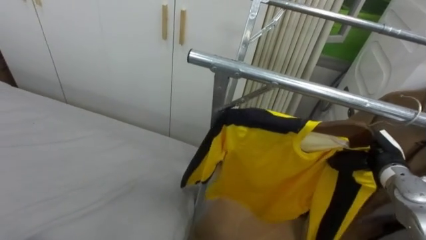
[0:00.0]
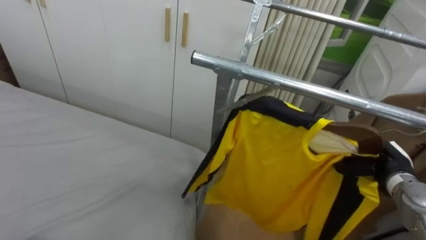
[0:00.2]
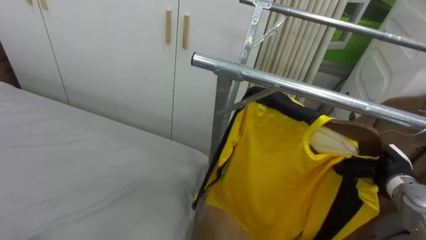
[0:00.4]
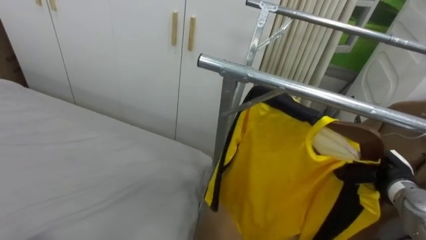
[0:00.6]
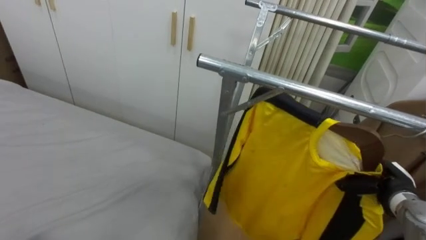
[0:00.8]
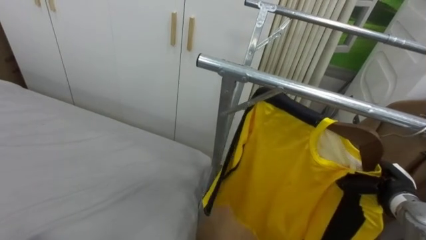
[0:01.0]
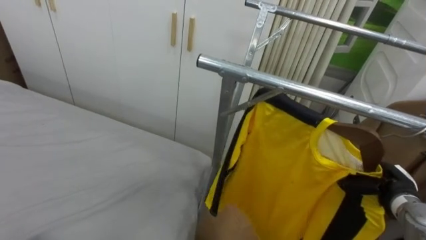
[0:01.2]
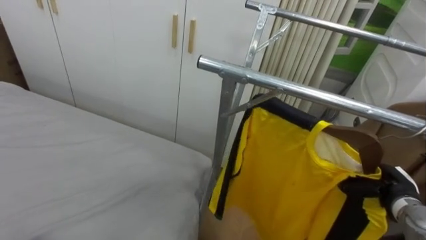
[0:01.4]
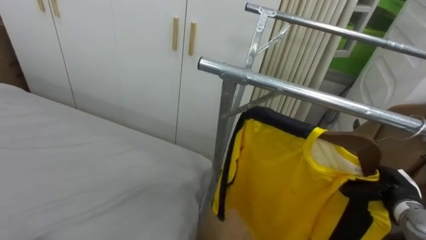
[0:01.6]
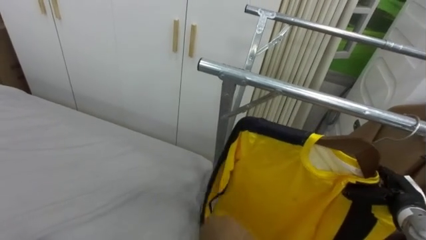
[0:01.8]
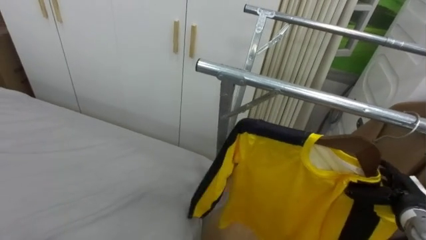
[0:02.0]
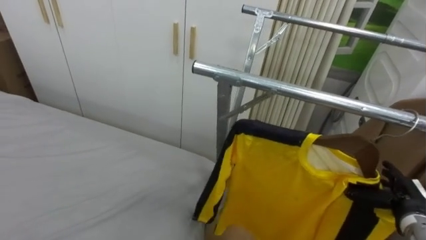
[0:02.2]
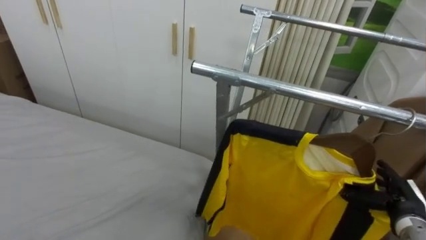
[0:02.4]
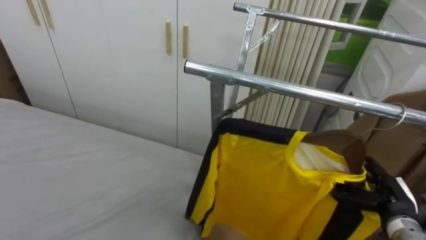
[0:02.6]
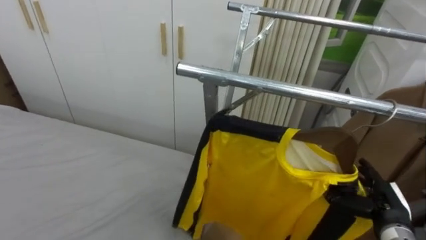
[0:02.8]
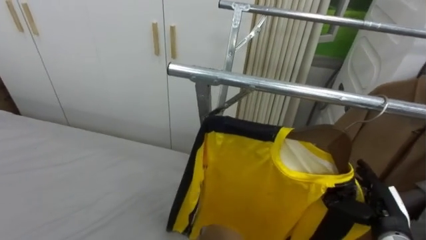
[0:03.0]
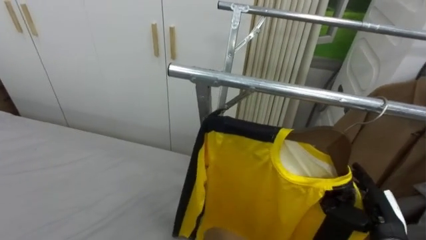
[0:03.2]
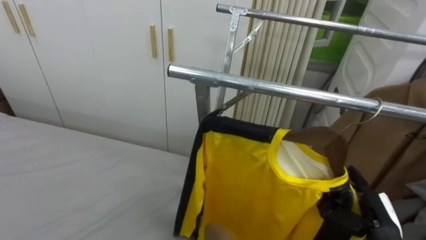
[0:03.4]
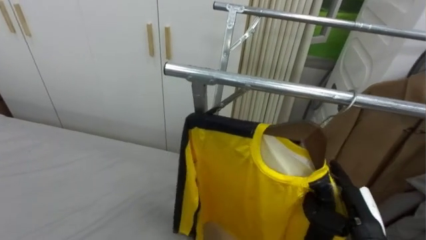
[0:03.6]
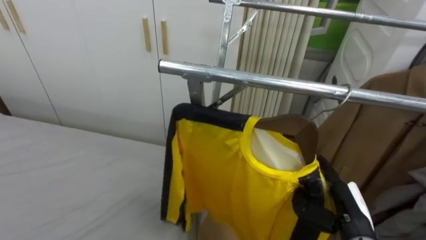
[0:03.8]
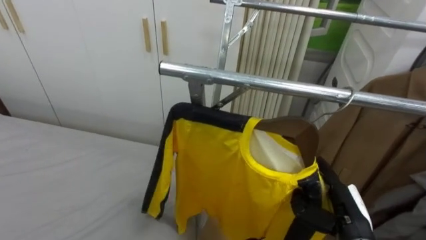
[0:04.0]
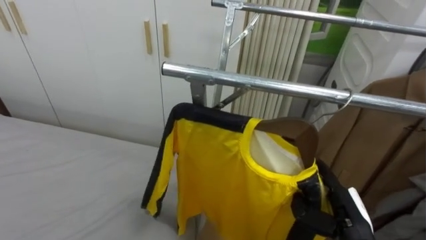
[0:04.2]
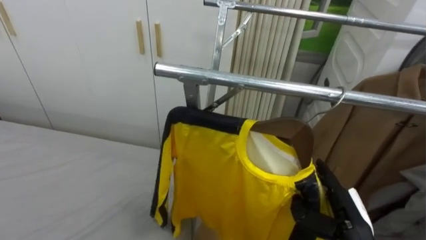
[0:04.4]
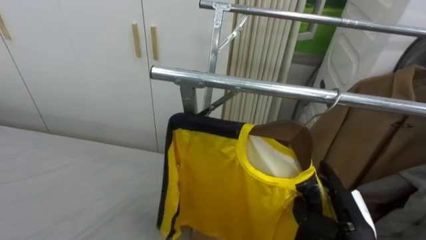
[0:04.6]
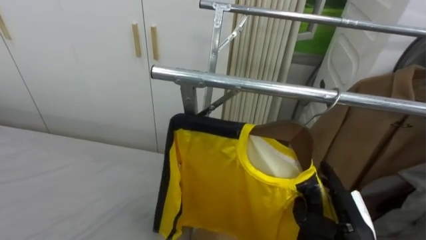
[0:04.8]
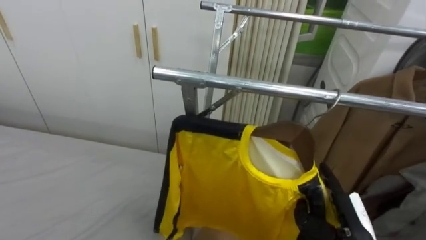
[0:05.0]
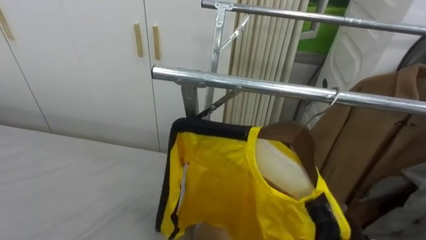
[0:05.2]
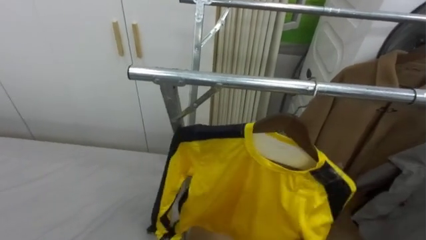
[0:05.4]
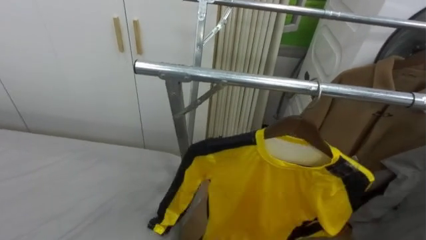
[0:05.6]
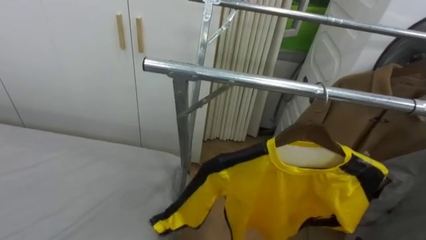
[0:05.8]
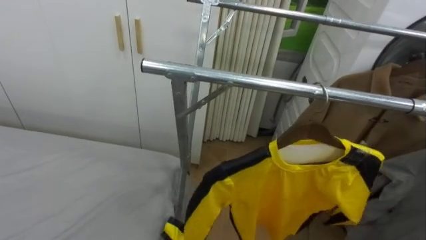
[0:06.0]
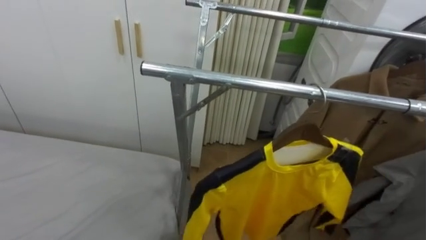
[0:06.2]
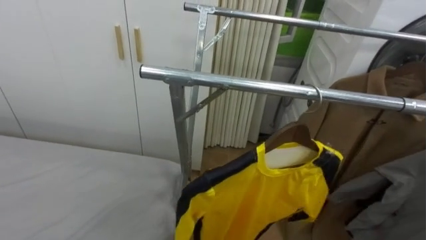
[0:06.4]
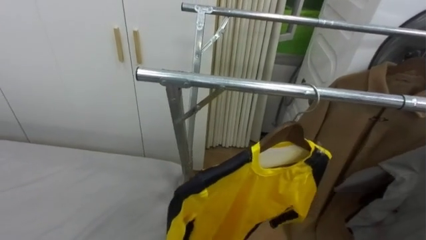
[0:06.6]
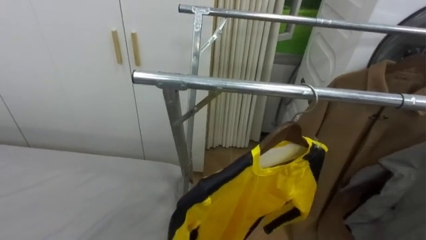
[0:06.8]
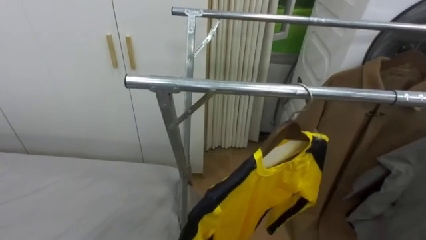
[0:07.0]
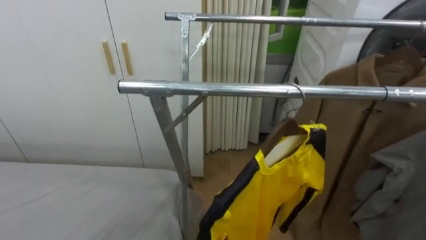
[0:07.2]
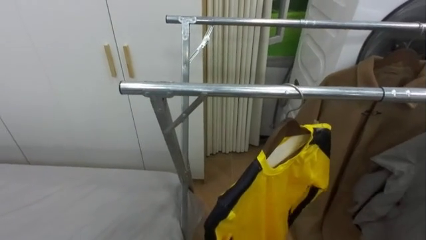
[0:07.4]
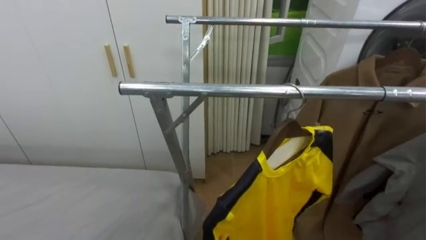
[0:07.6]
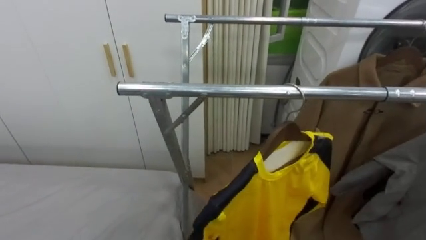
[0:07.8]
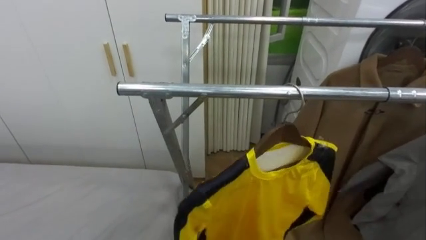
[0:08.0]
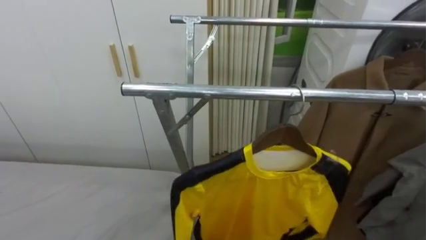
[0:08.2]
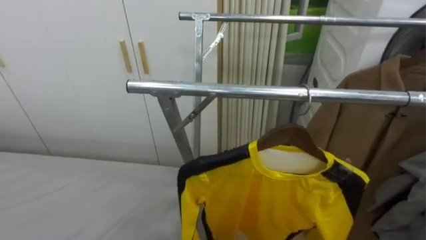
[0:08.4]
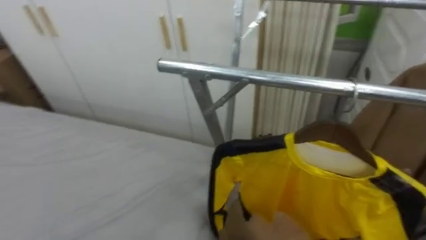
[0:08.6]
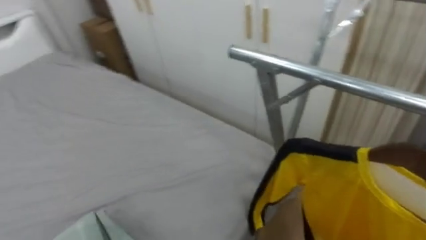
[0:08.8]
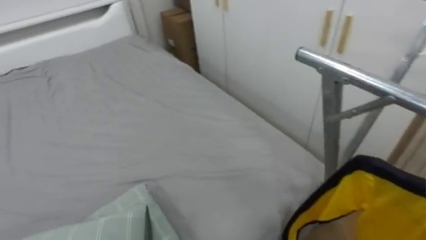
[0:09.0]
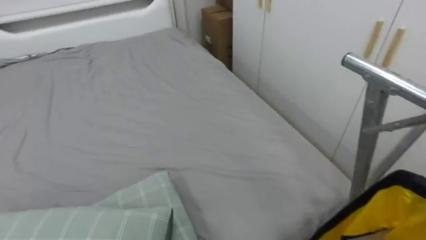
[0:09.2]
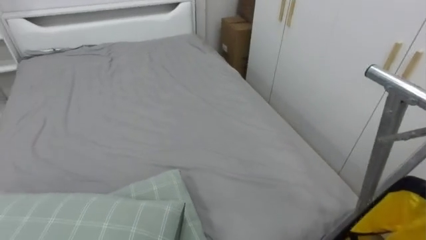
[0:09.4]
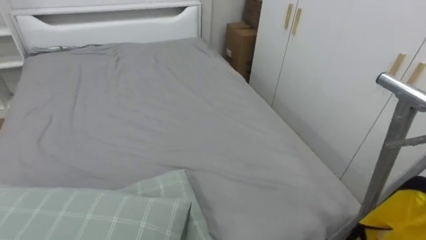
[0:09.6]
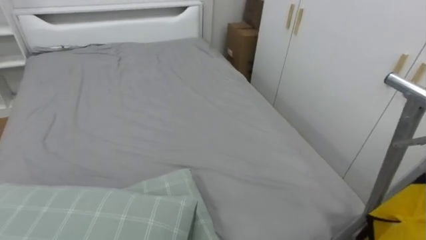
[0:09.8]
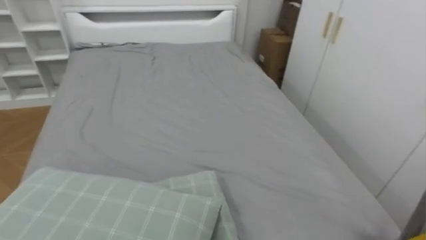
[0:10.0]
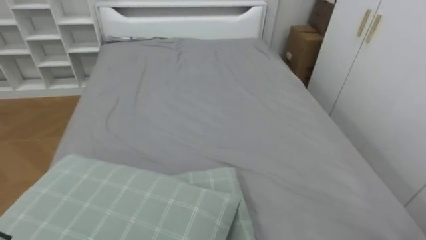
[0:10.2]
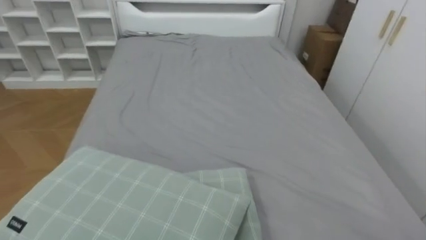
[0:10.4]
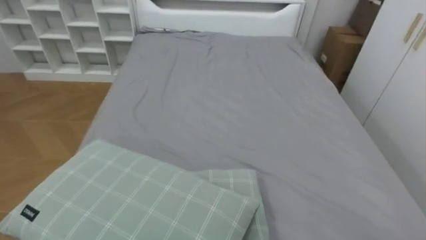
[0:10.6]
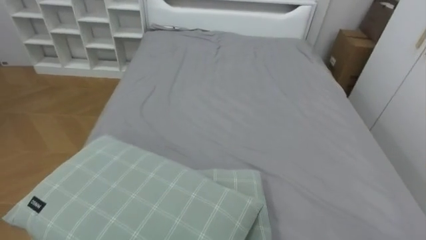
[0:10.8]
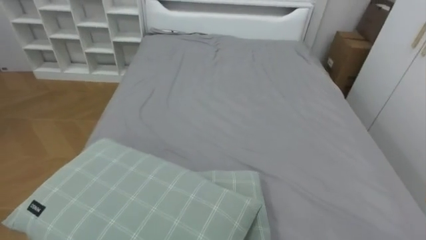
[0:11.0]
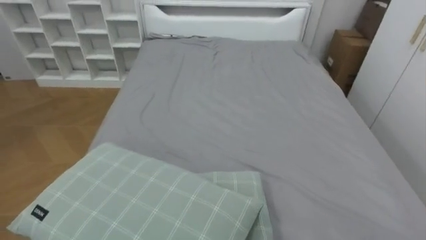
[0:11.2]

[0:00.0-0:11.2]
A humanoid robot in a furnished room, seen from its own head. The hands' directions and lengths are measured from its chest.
Task of the whole recording: Pick up the yellow shirt on the bed and hang it on the clothes rack on the right.
0:00.0 to 0:01.6: The right hand travels downward by approximately 5 cm, and opens.
0:01.6 to 0:03.2: The right hand goes roughly 5 cm backward.
0:03.2 to 0:04.8: The right hand moves to the left, approximately 5 cm.
0:08.0 to 0:09.6: The robot's body swings some 60 degrees to its left.
0:09.6 to 0:11.2: The robot turns to its left by approximately 25 degrees.

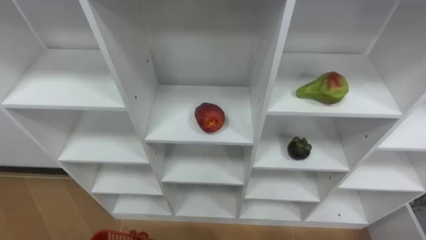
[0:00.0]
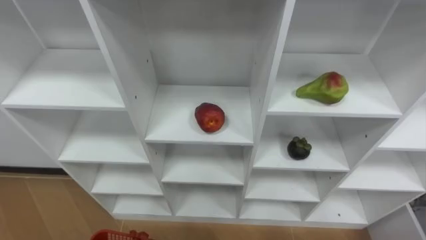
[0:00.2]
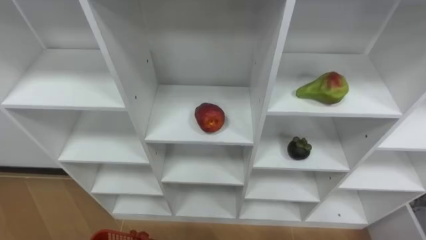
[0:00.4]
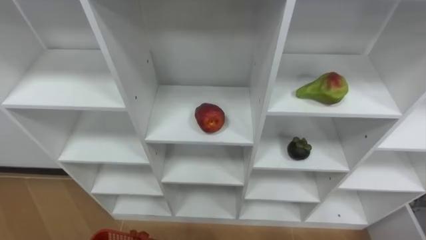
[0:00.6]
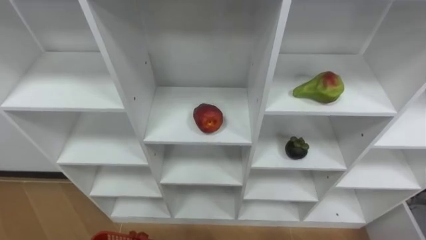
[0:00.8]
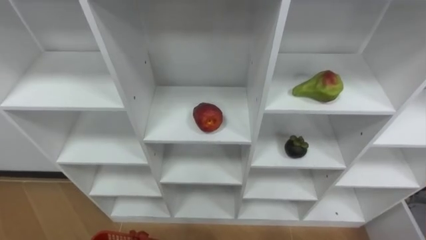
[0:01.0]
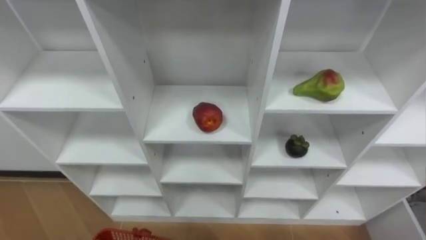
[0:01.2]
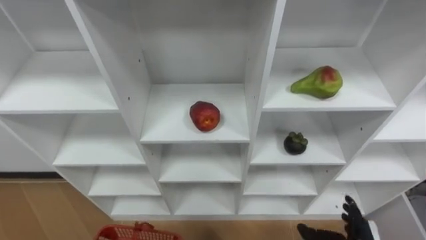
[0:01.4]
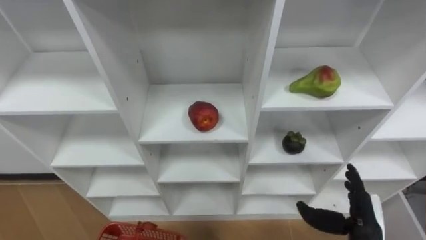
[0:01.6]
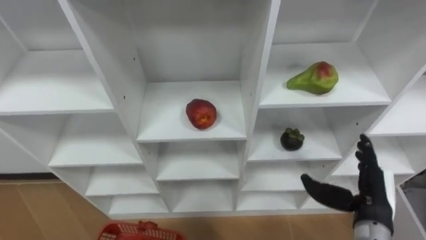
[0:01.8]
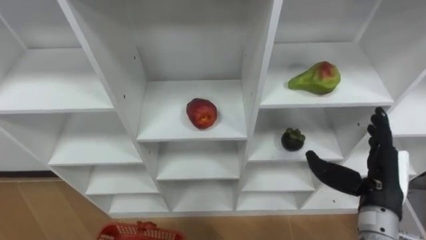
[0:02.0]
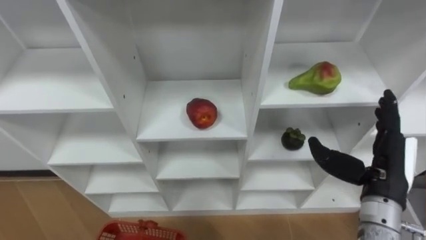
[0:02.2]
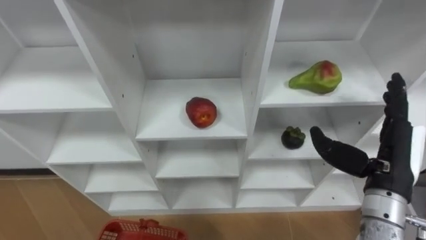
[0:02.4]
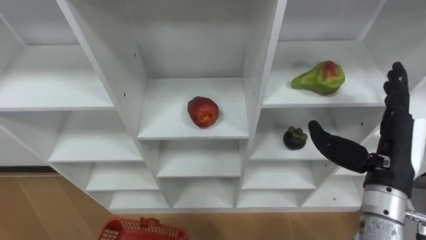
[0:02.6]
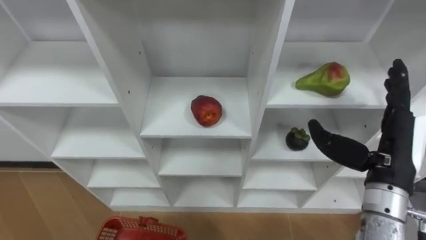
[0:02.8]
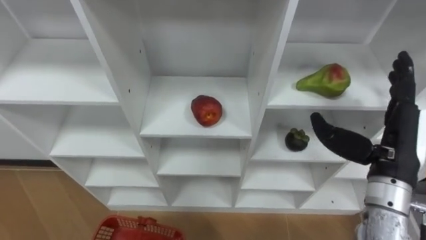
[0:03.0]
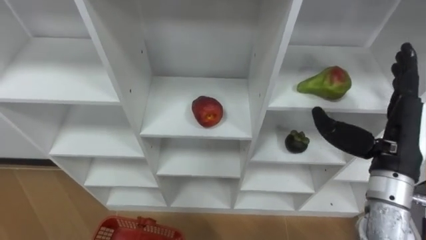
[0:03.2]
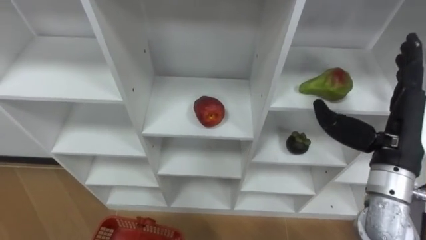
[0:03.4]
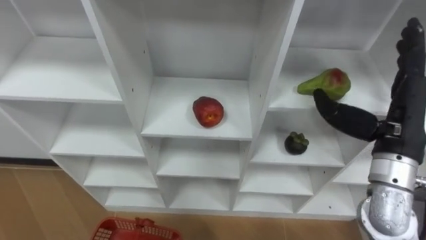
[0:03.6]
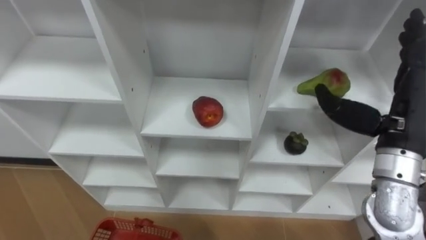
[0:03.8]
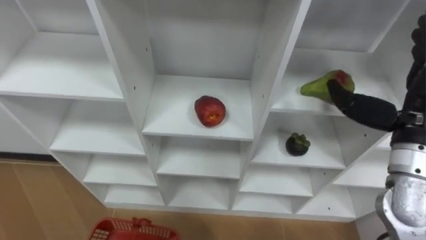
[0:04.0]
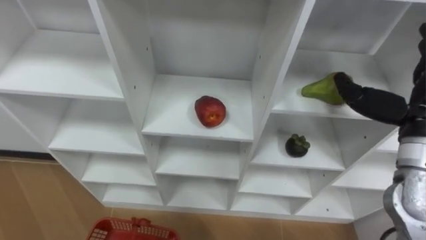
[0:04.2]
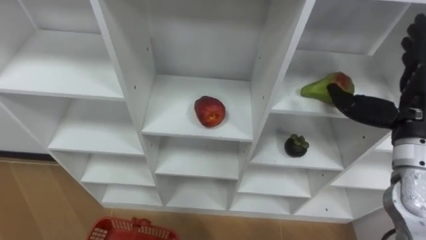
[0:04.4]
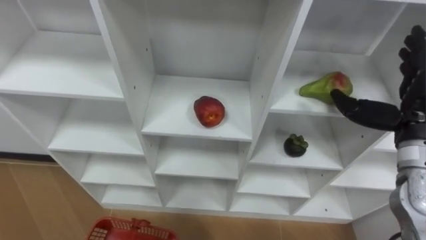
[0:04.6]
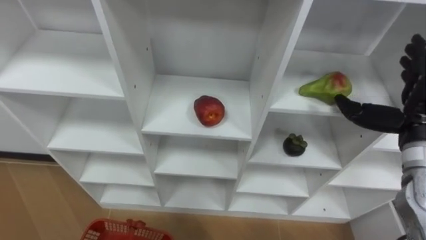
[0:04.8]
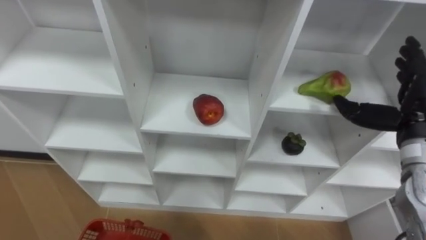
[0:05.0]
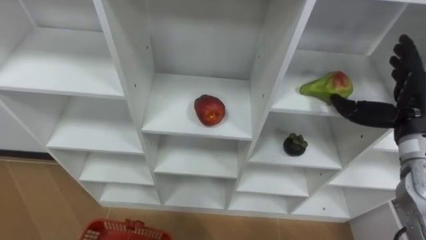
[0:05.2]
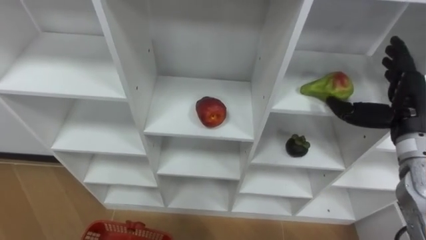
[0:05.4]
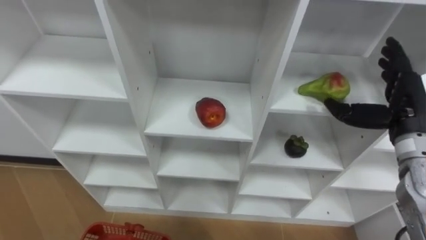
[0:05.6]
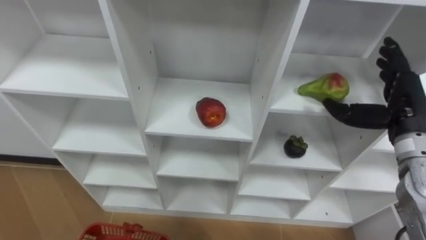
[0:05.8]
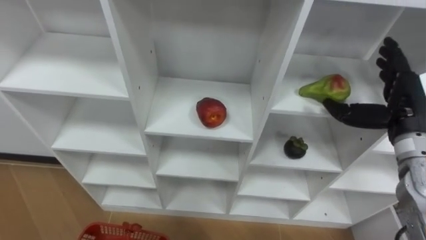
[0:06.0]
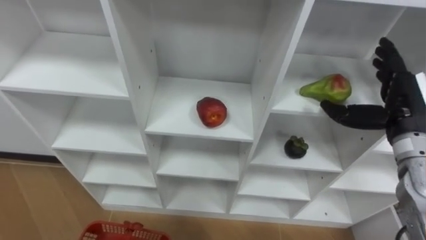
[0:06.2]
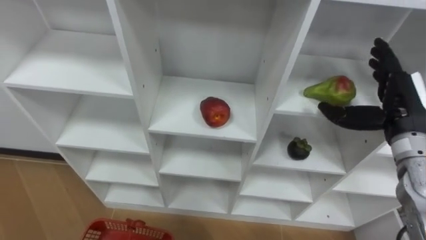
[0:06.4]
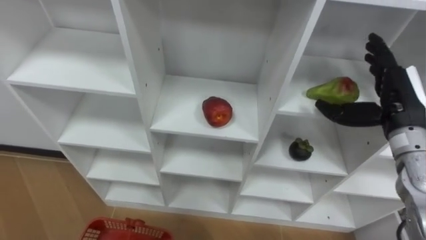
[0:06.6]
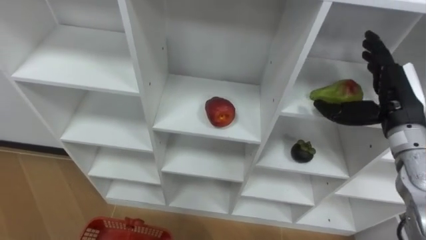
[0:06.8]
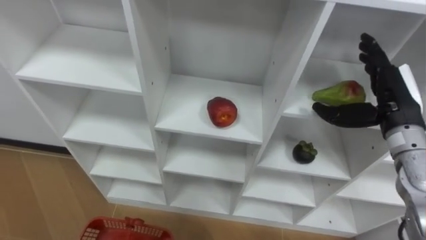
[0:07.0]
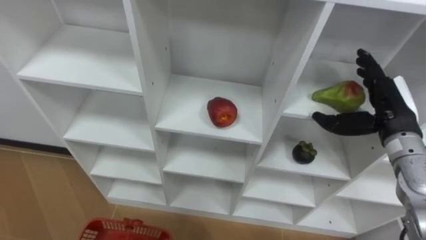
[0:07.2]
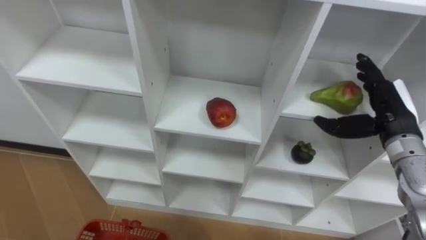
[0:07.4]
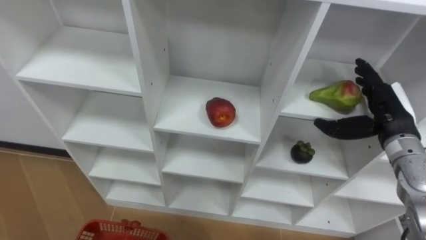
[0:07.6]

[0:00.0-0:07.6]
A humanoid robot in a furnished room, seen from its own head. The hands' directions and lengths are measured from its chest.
Task of the whole recording: Hold the basket and collect the fruits from 3 different cells of the closet into it.
0:01.6 to 0:03.0: The right hand travels upward by some 20 cm.
0:03.0 to 0:04.6: The right hand changes place by about 5 cm.
